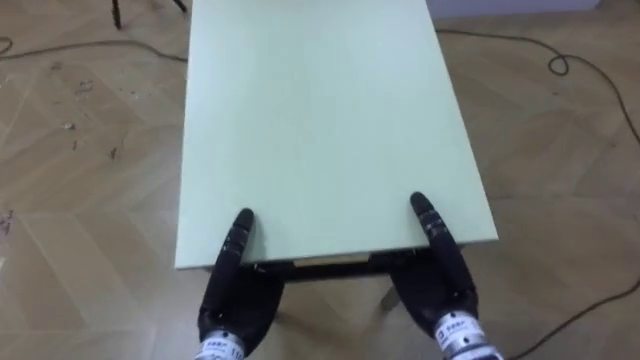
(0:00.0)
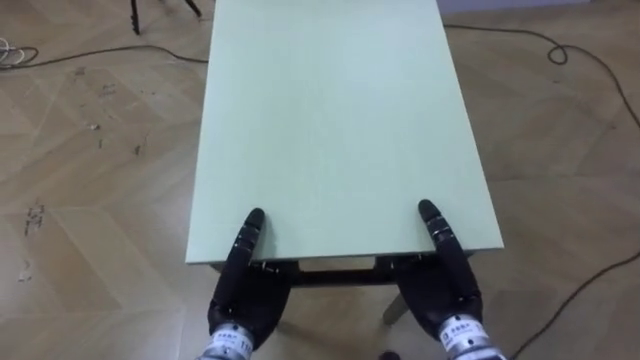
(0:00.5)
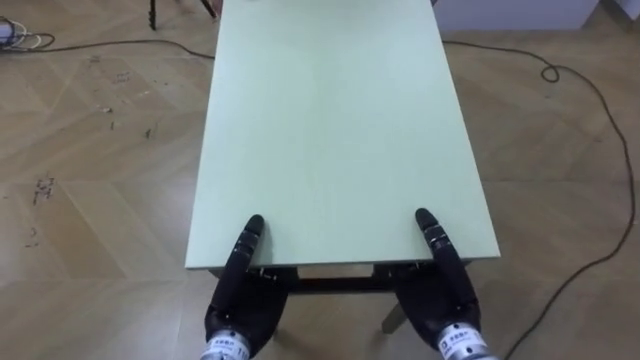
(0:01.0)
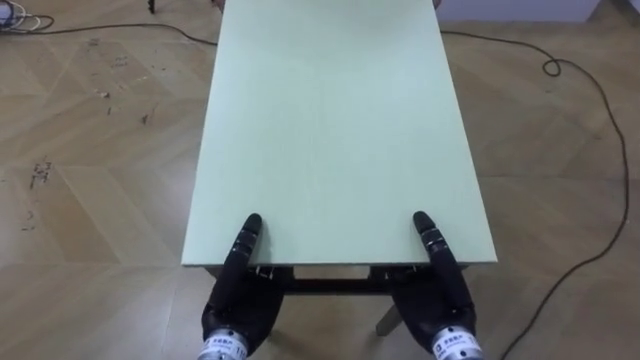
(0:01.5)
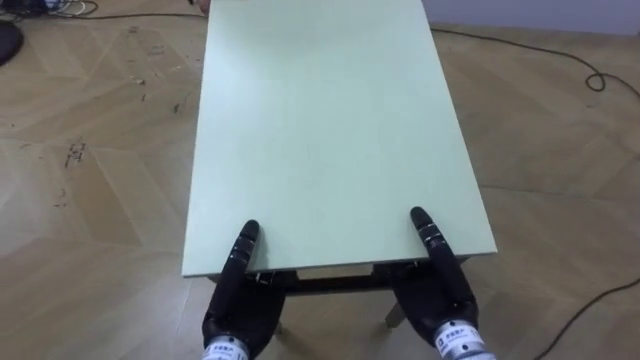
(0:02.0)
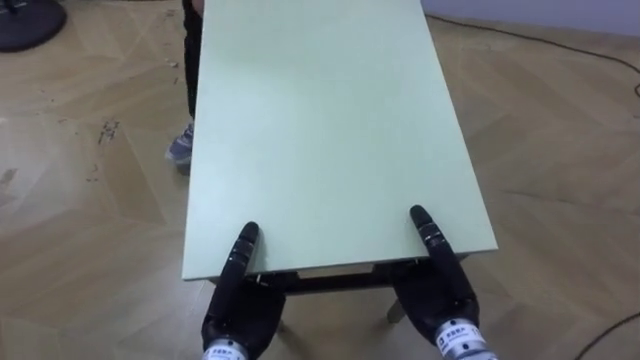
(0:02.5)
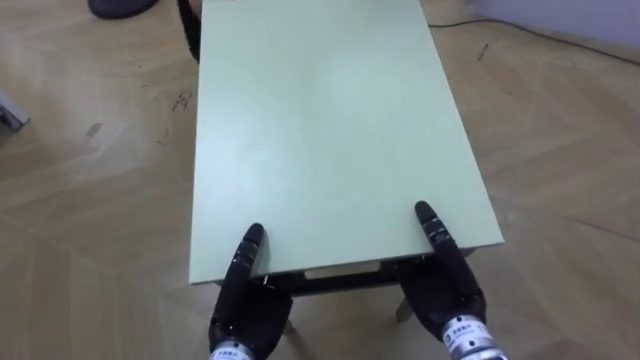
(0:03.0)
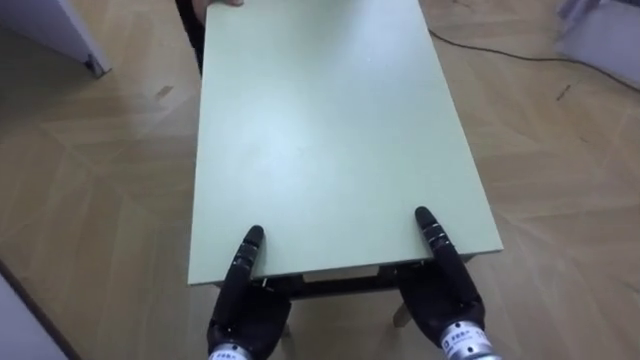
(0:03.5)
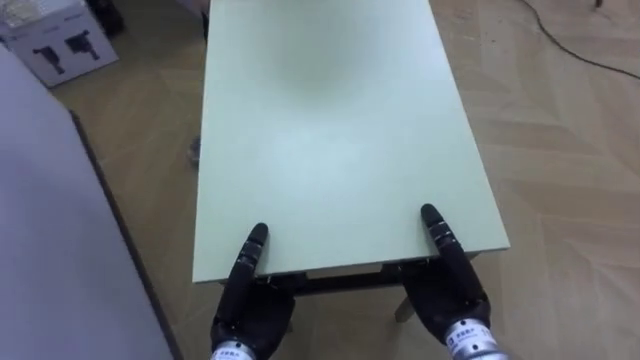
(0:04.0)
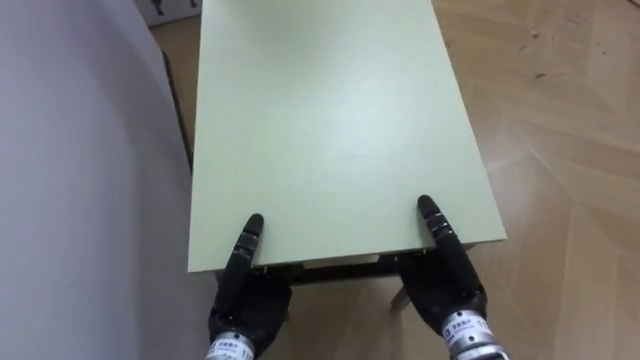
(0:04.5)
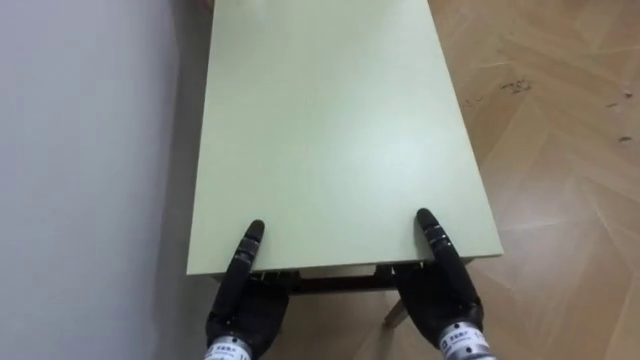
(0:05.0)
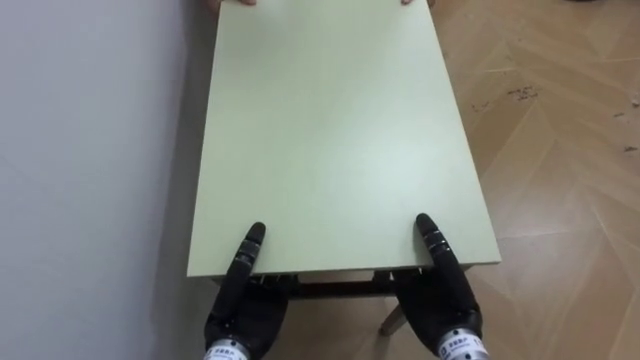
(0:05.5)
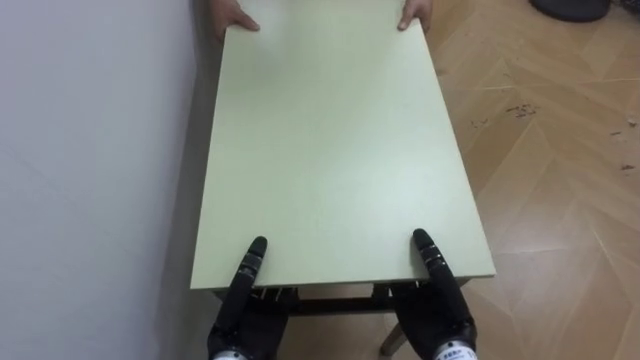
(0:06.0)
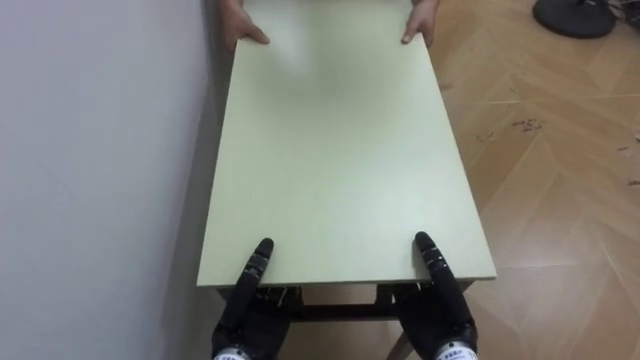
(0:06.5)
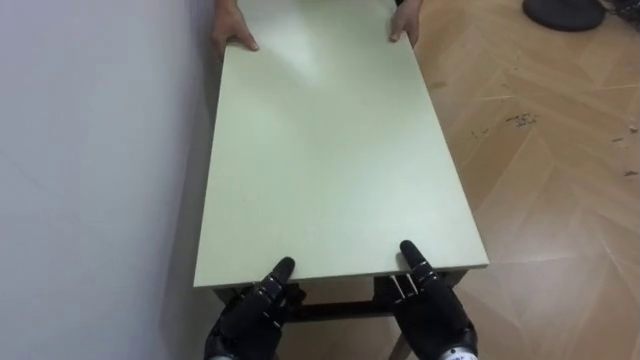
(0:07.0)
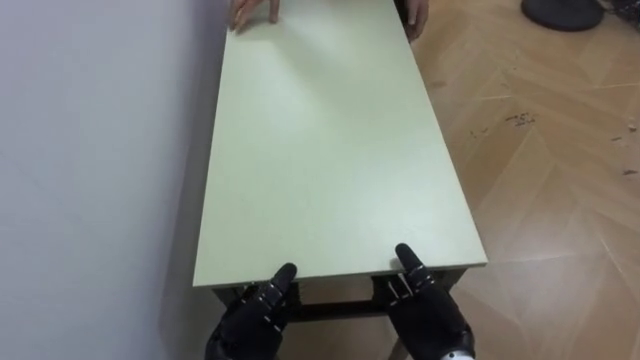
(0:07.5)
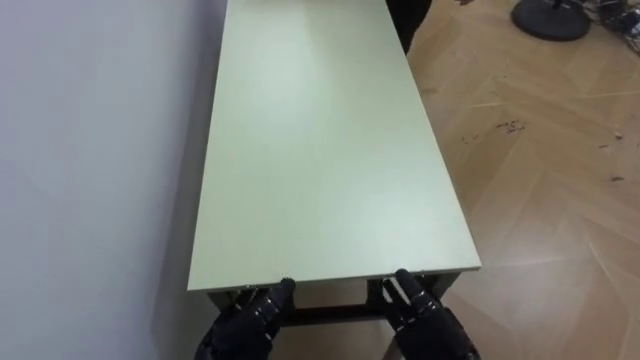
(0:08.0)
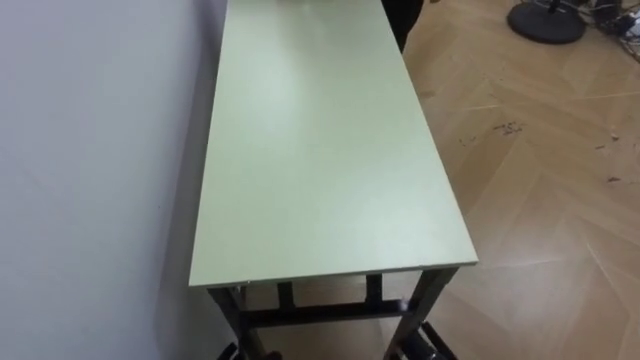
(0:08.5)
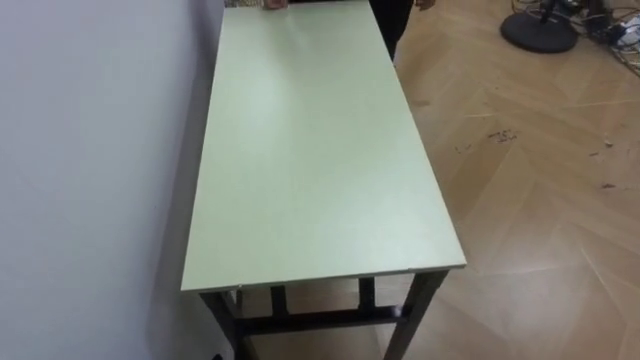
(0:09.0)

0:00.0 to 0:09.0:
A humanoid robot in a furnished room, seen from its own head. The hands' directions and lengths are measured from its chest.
Task of the whole recording: Move the table to the back left with someone.
0:02.0 to 0:04.5: The robot's body swings approximately 65 degrees to its left.
0:04.5 to 0:07.0: The robot's body swings roughly 20 degrees to its left. Both hands move downward, about 5 cm. The right hand opens.

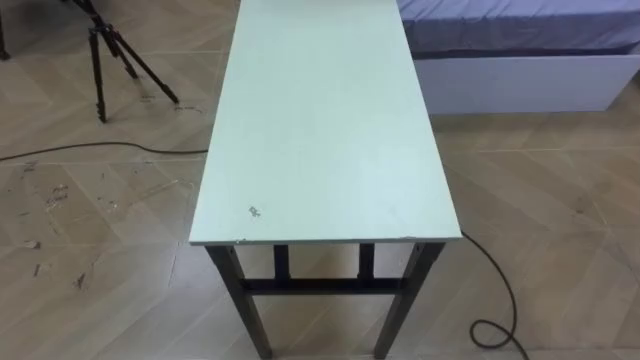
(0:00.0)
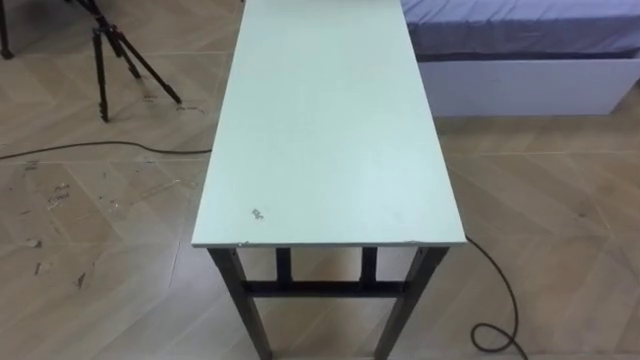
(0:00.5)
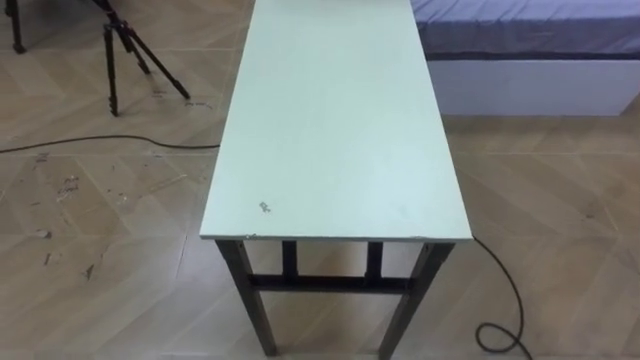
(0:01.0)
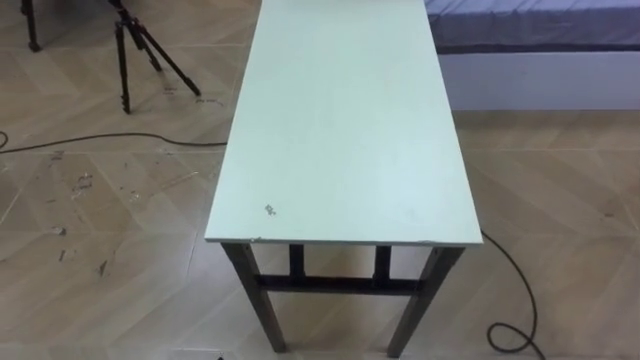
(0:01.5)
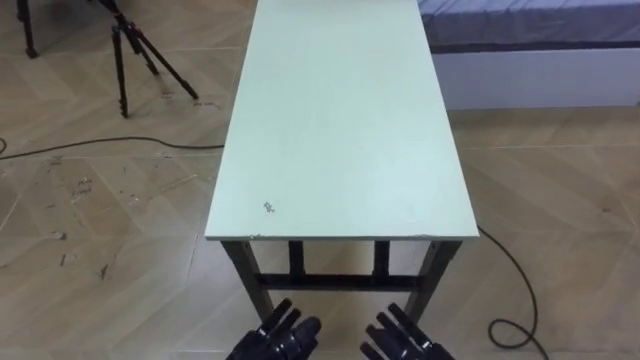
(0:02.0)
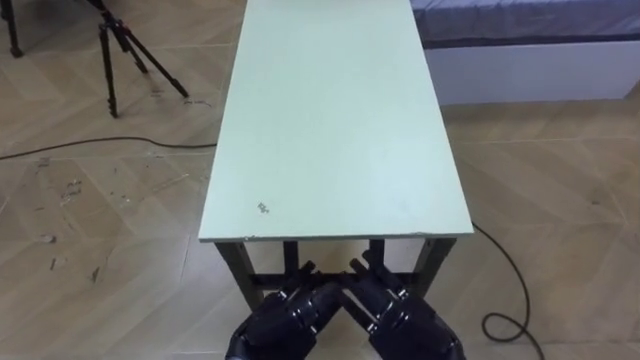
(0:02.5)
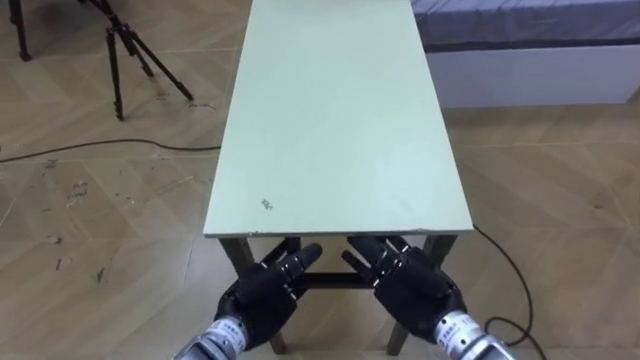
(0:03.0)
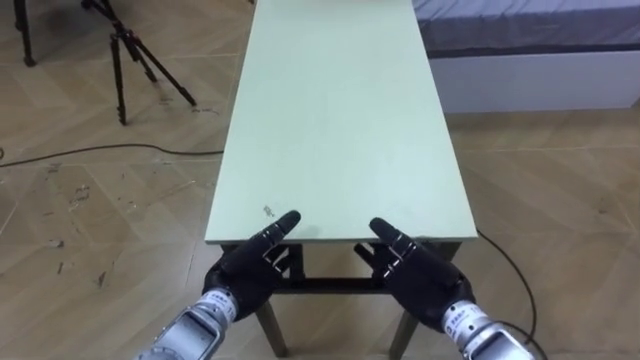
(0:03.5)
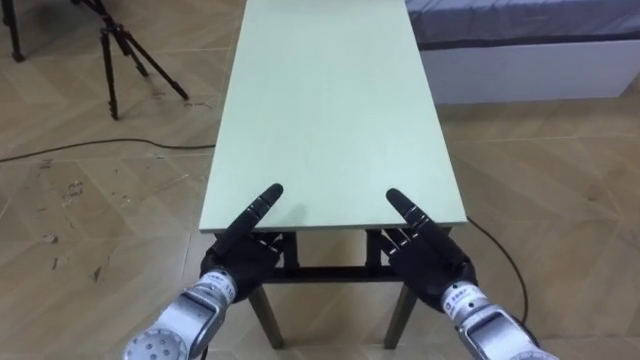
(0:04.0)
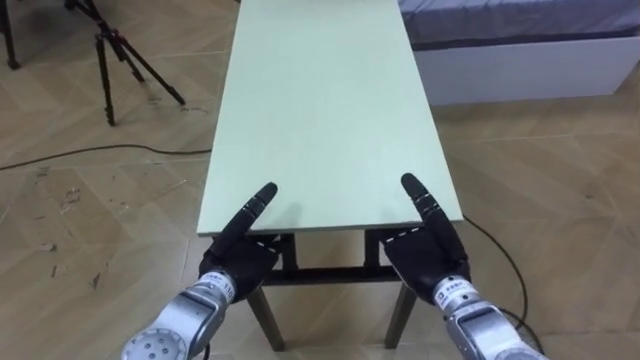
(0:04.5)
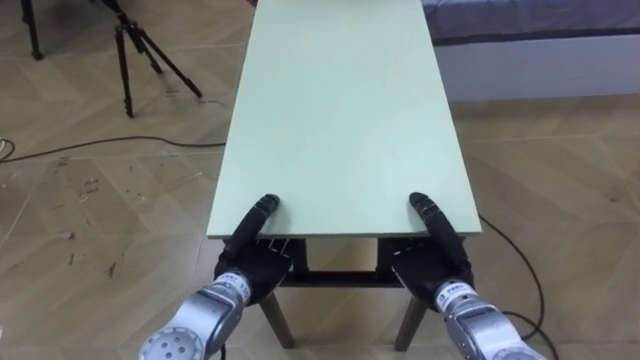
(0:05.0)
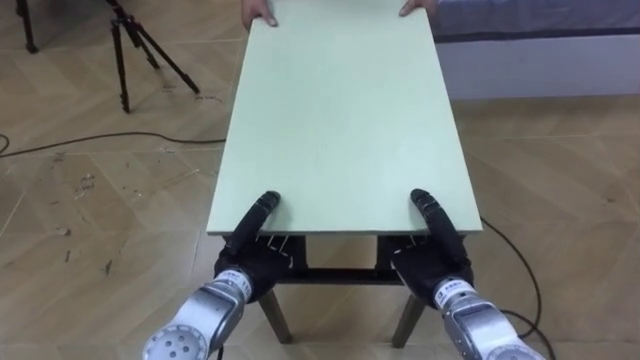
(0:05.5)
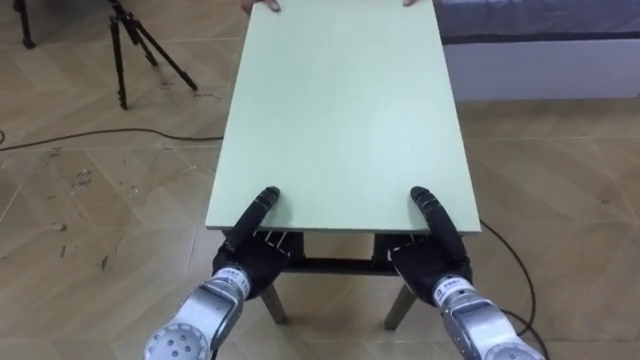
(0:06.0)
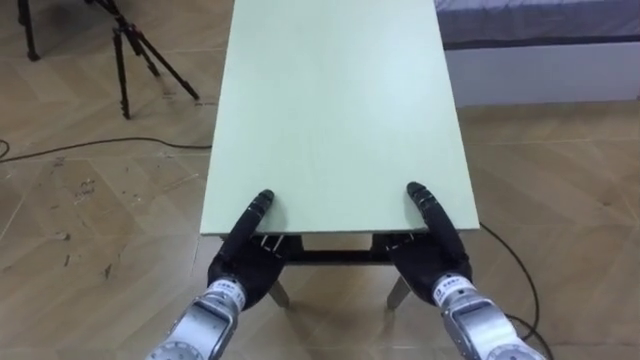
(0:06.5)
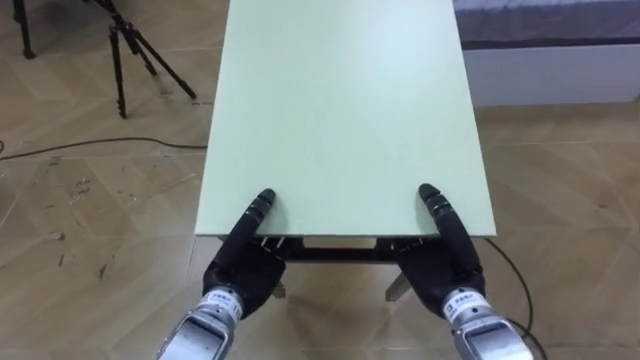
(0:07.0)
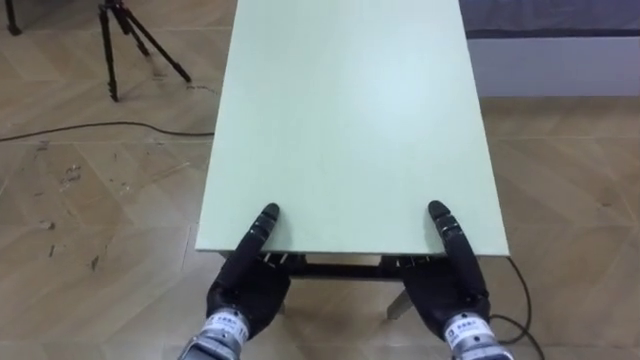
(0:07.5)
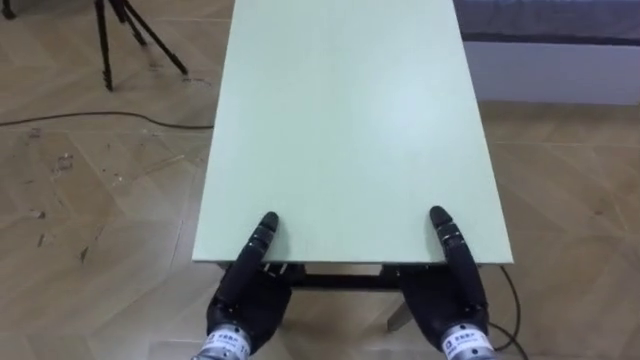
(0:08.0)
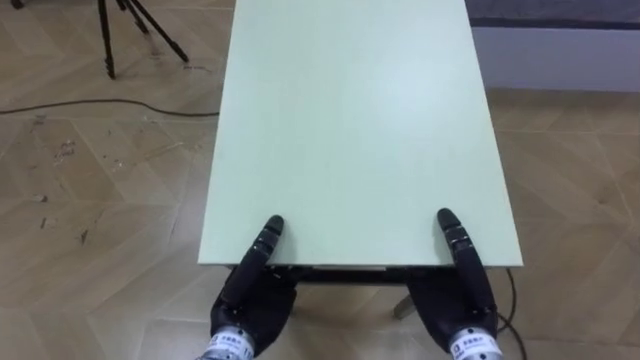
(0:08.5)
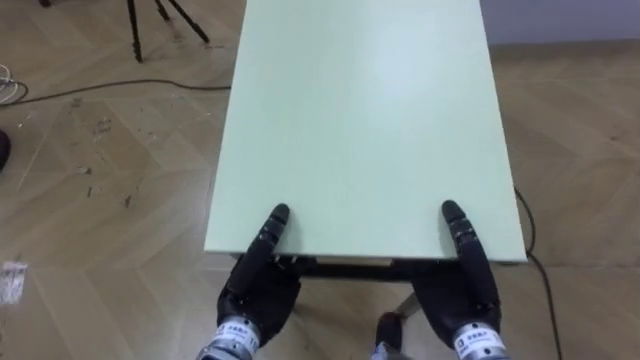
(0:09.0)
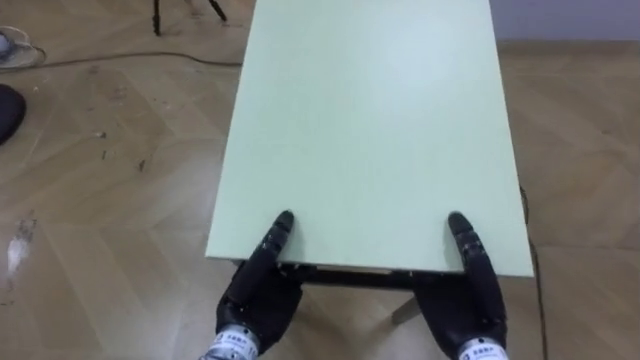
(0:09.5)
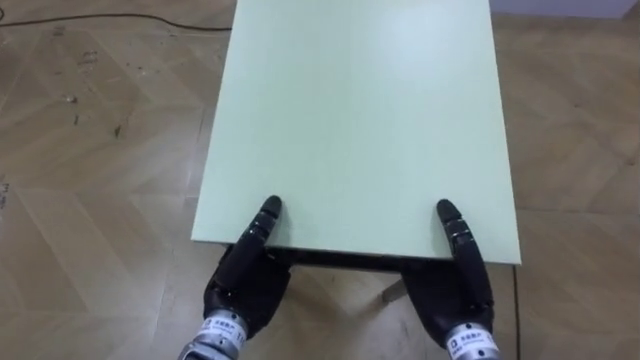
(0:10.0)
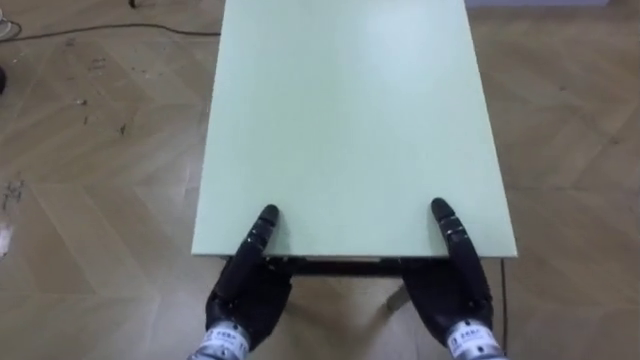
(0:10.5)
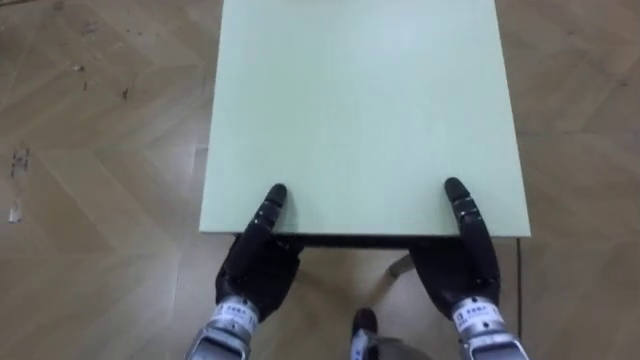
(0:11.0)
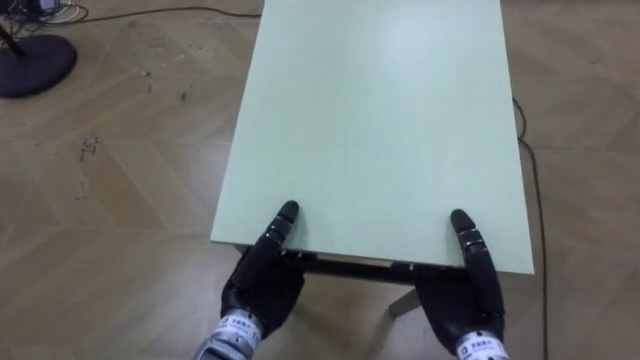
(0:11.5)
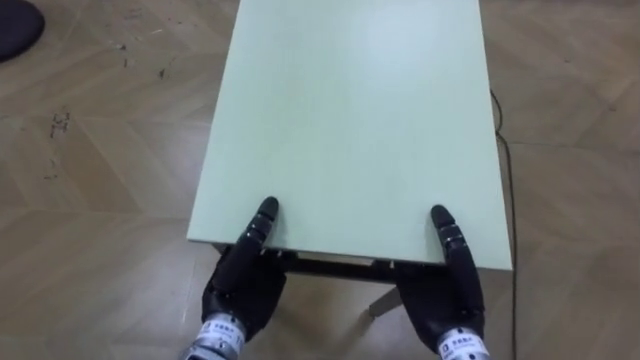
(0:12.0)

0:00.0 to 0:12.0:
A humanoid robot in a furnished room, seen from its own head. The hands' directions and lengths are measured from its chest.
Task of the whole recording: Move the table to the back left with someone.
0:04.0 to 0:06.0: The right hand closes, while the left hand closes its fingers.
0:06.0 to 0:08.0: Both hands travel together backward, roughly 5 cm.
